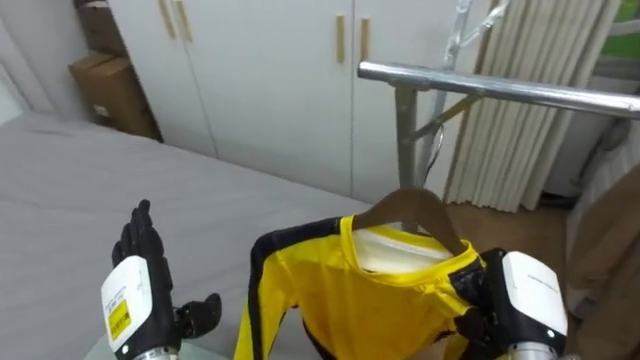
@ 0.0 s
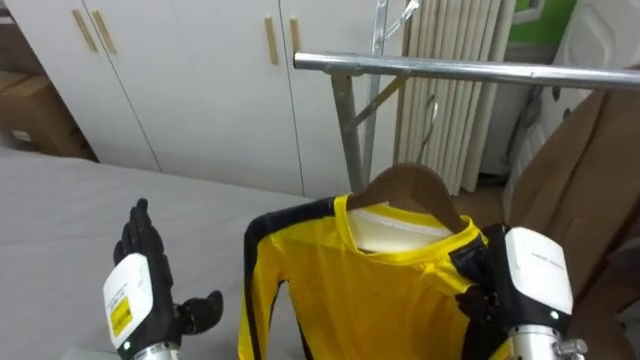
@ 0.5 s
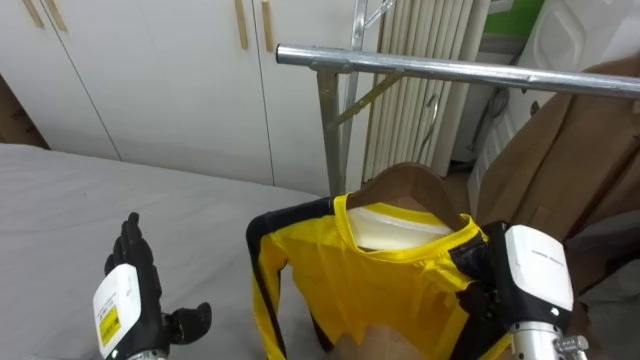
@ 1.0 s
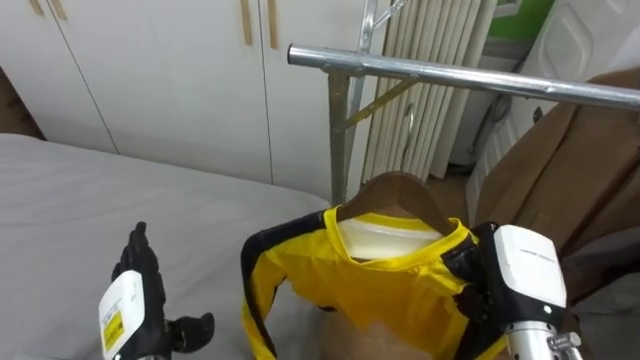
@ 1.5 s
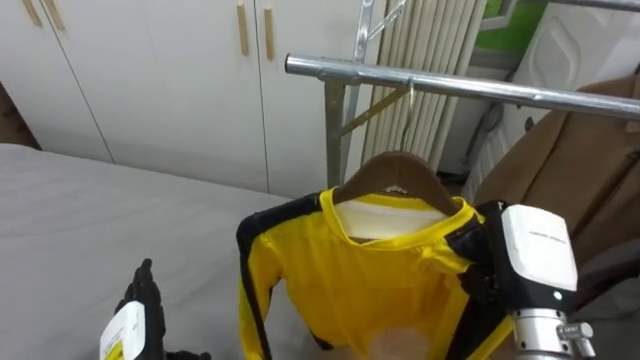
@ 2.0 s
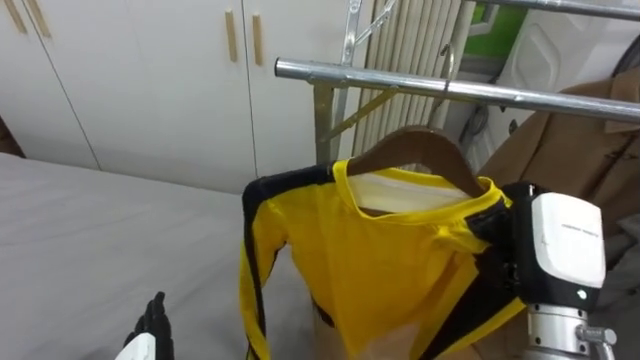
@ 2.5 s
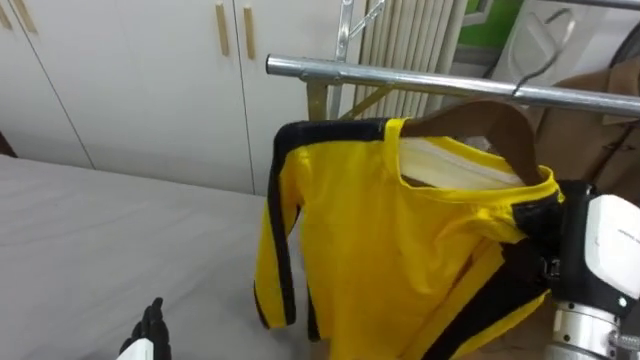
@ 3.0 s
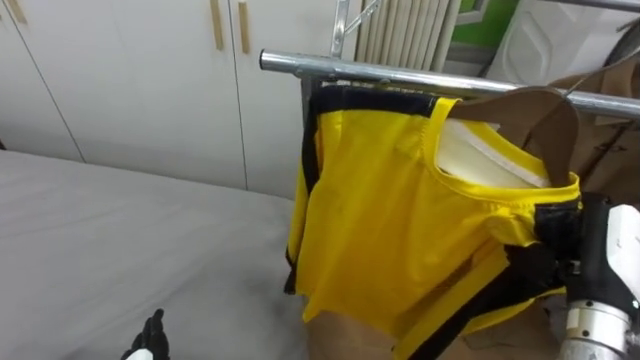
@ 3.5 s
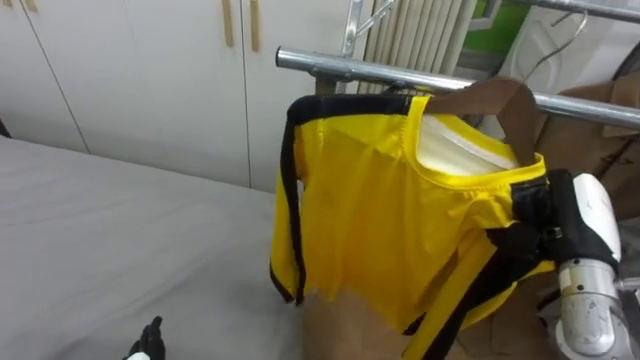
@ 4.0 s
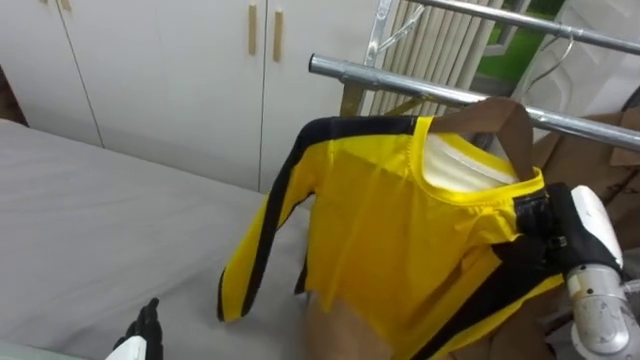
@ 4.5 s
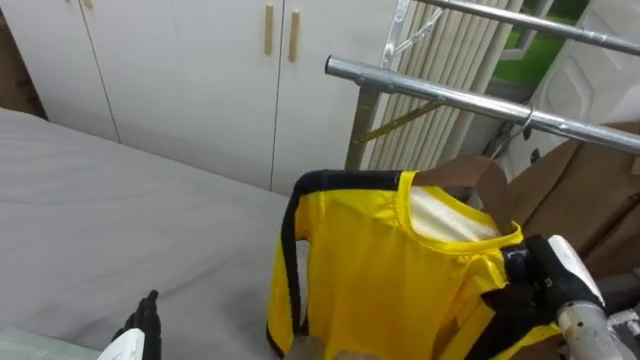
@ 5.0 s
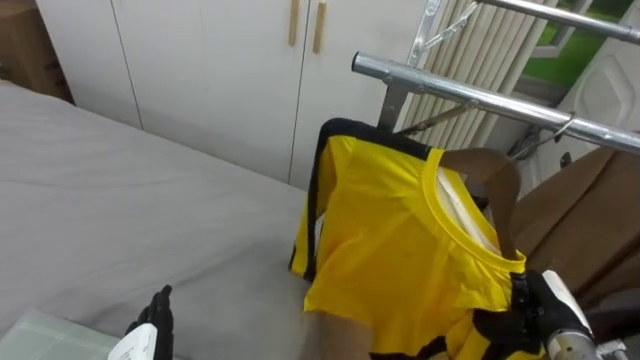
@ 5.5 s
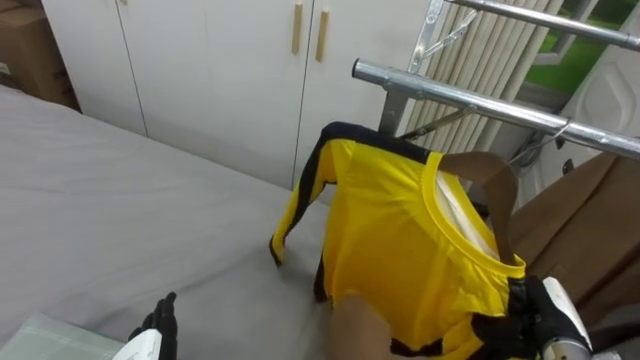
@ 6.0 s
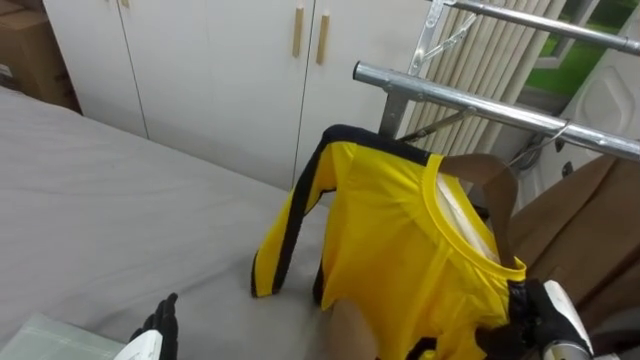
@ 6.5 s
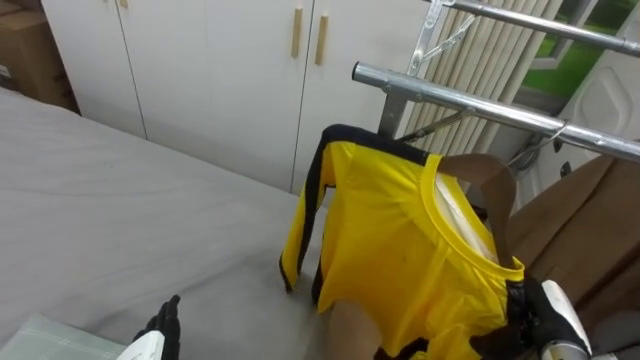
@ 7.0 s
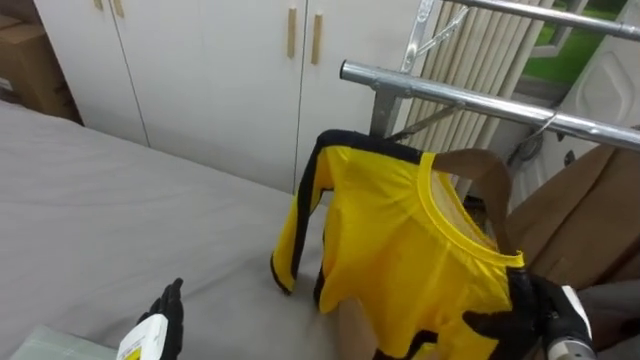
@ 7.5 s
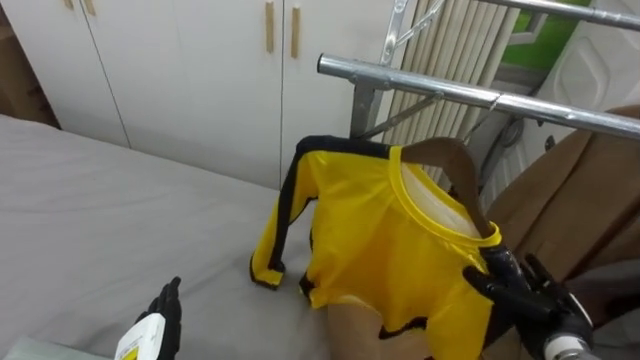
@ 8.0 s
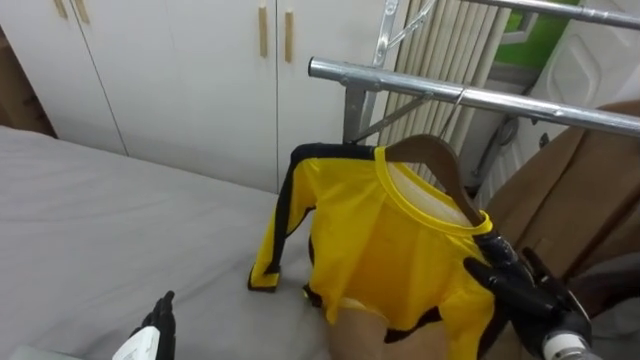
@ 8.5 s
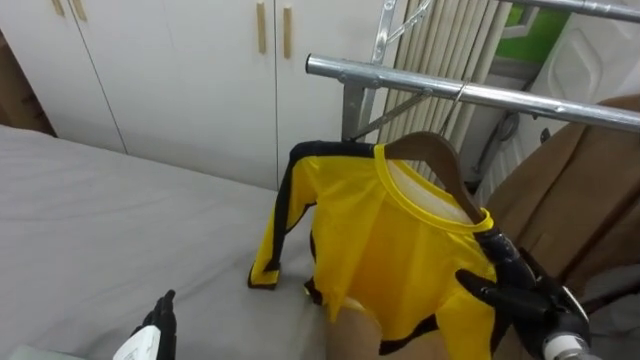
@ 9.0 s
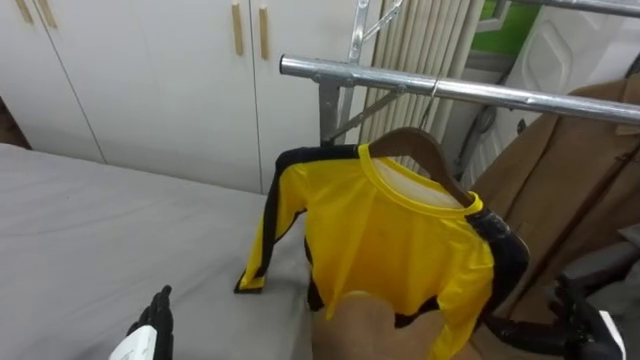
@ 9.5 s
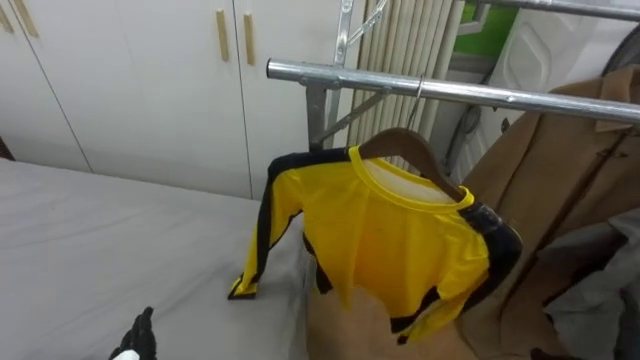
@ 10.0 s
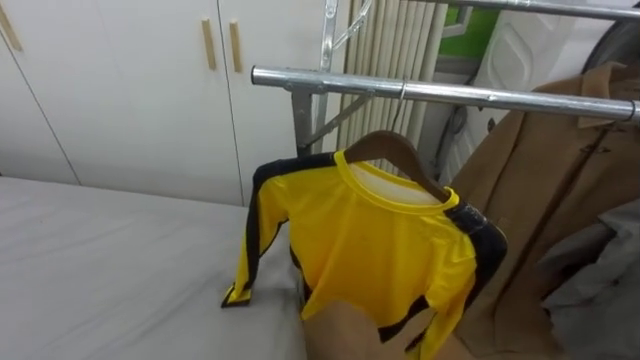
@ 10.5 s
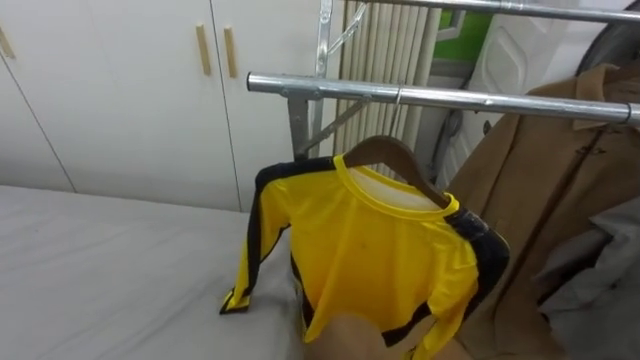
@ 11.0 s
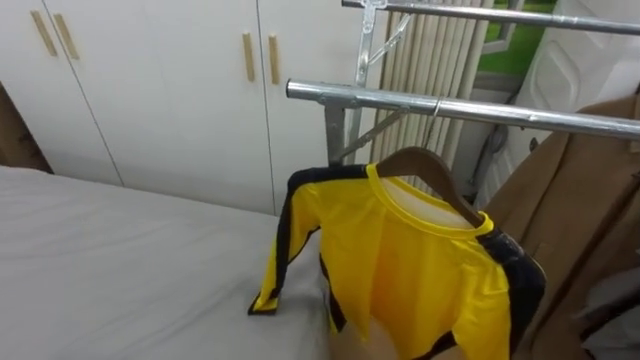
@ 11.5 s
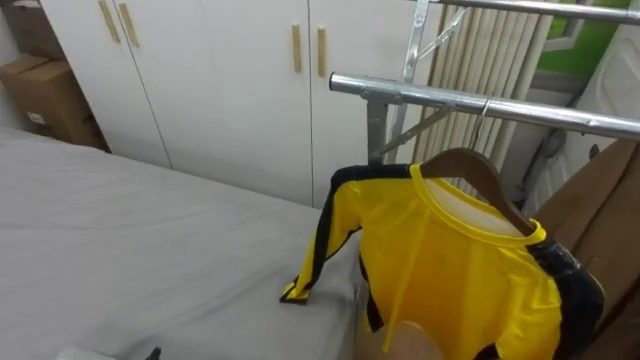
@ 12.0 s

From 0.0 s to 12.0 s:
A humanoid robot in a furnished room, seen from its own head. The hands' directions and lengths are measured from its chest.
Task of the whole recording: Pick up the yellow shirt on the bed and hang it on the clothes rack on the right.
From 0.0 s to 2.0 s: The robot faces roughly 15 degrees further to its right. The left hand is displaced downward by approximately 5 cm; the right hand shifts about 5 cm upward.
From 2.0 s to 4.0 s: The right hand goes roughly 5 cm to the right.
From 4.0 s to 6.0 s: The right hand moves downward, roughly 15 cm.
From 6.0 s to 8.0 s: The right hand opens its fingers.

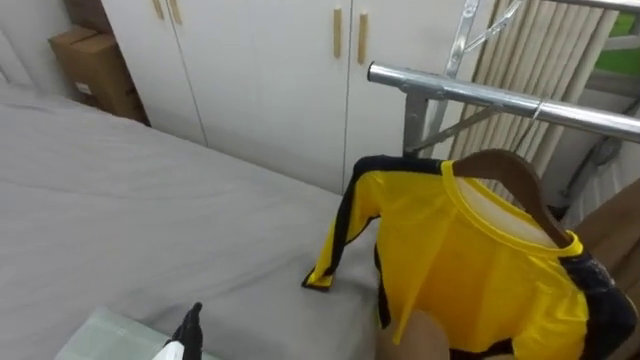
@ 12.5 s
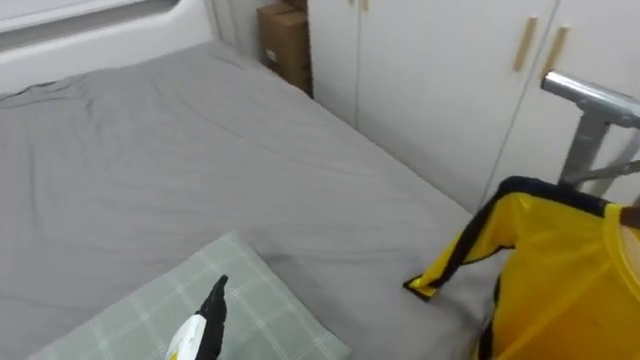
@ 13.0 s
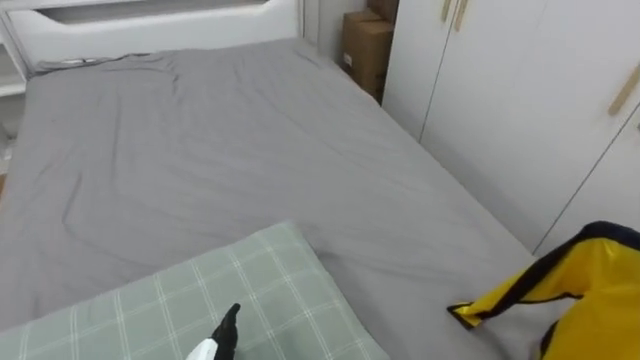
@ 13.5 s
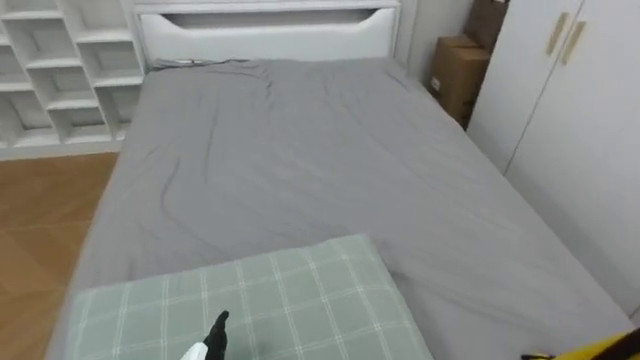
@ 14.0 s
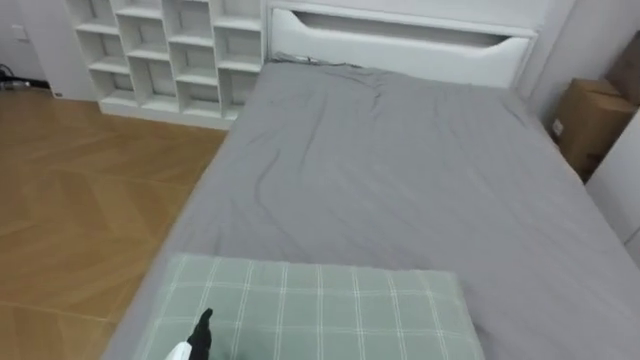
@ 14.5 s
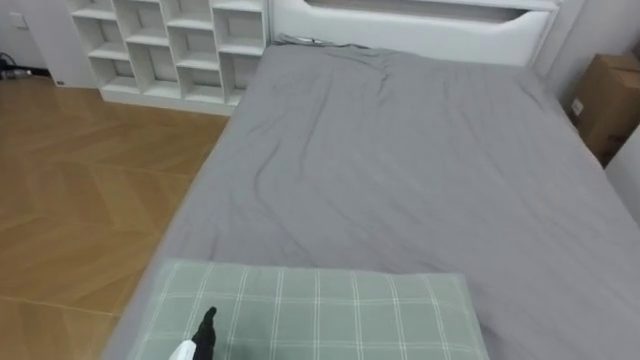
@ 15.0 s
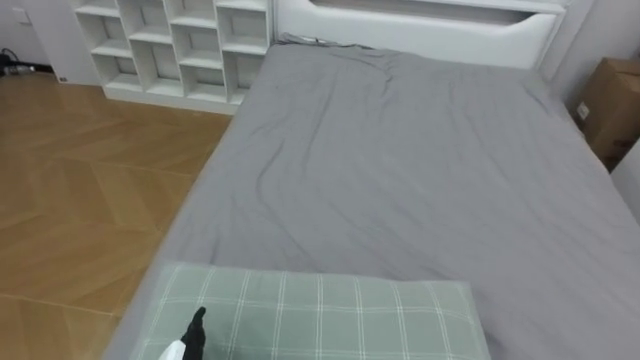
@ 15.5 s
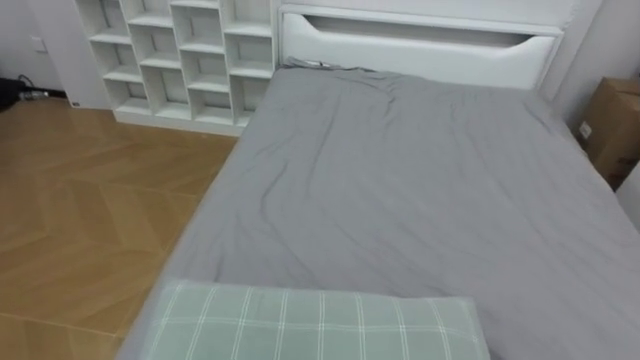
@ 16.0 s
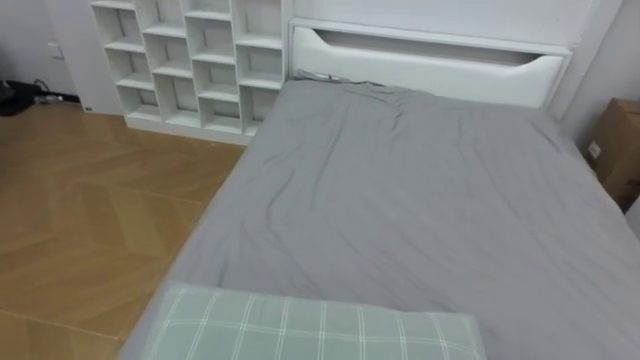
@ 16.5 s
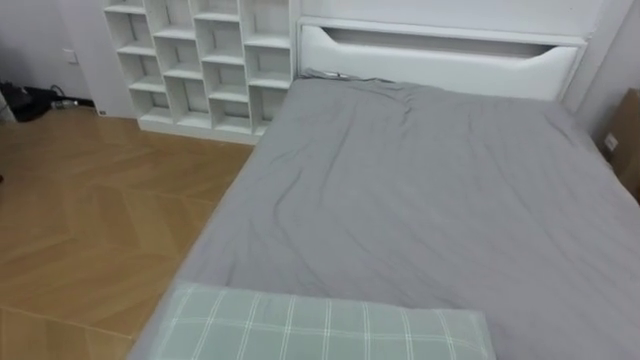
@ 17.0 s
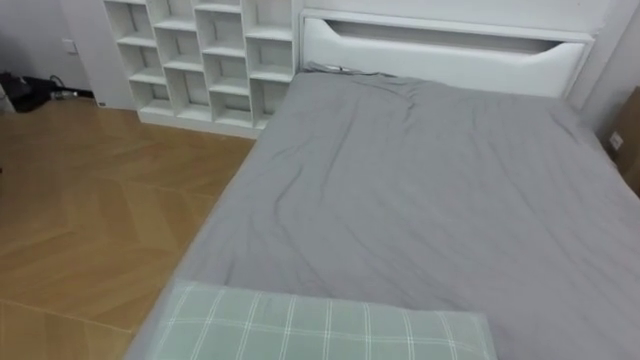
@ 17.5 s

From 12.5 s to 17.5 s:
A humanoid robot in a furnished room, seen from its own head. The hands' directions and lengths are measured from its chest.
Task of the whole recording: Pick up the yellow shirt on the bed and hang it on the clothes rack on the right.
From 12.5 s to 15.0 s: The robot's body swings some 75 degrees to its left.

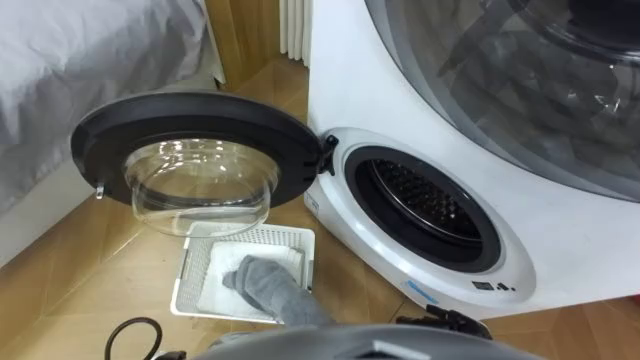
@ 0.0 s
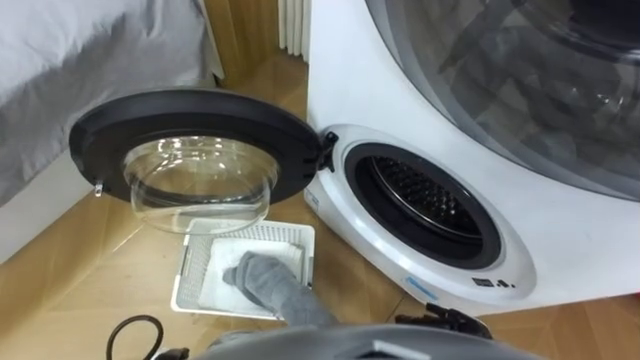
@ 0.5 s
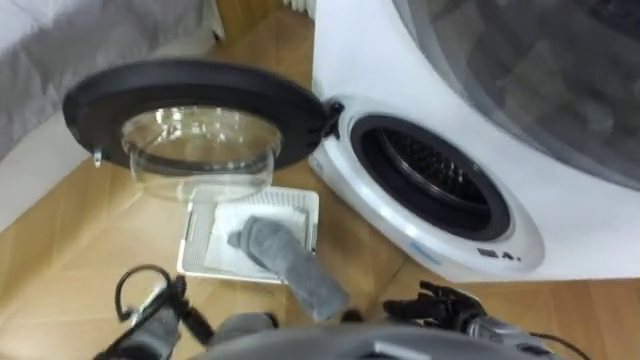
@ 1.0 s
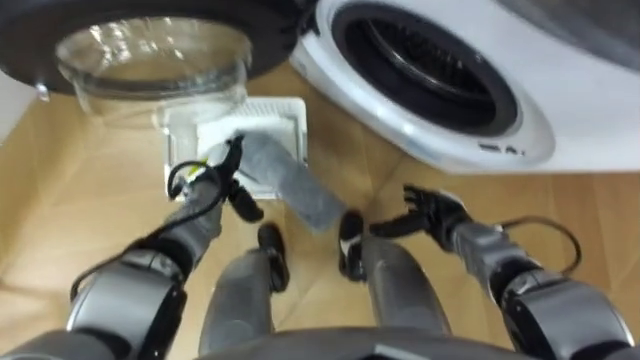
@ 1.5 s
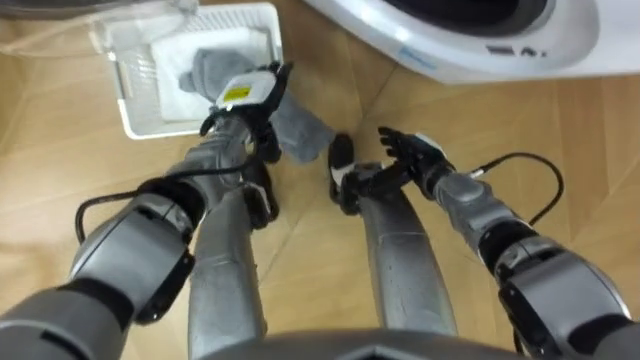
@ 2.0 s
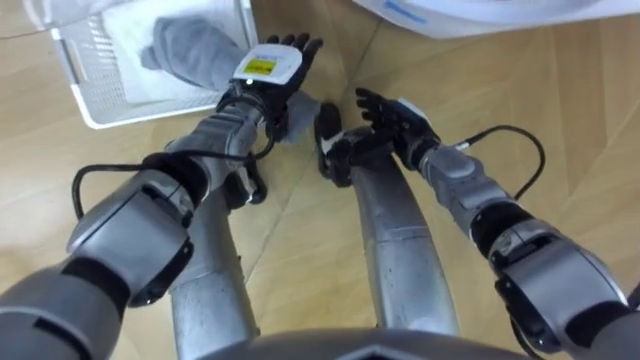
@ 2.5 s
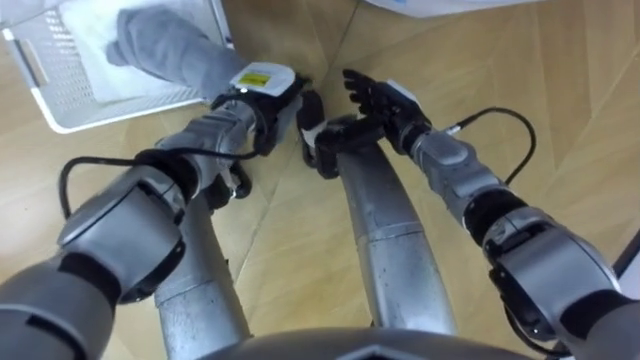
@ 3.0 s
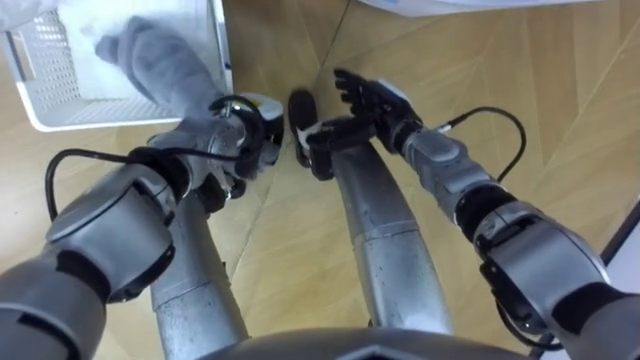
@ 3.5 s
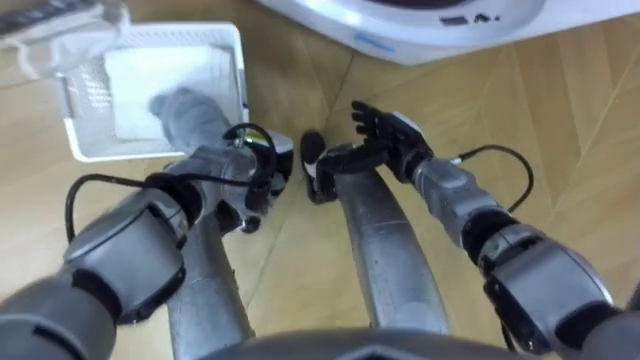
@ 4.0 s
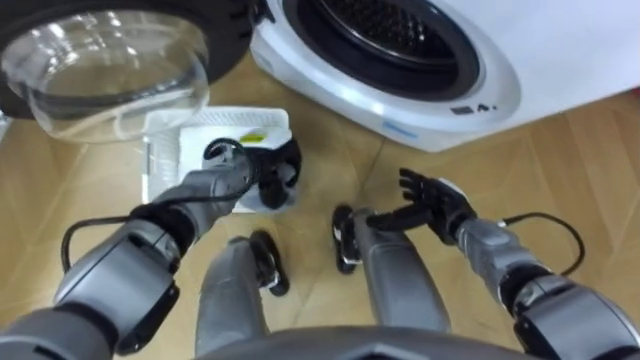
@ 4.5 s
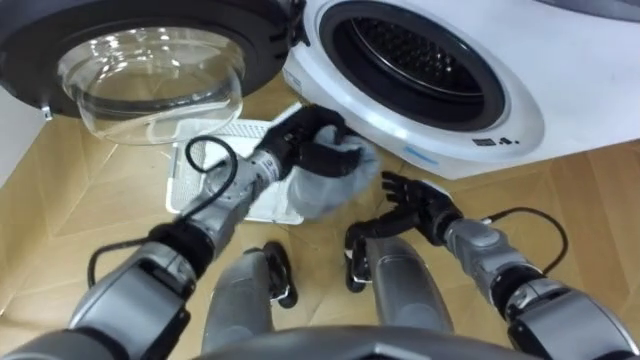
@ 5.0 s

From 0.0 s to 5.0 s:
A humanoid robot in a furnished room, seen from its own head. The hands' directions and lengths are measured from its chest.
Task of the whole recording: Take the towel from the basket and put it into the washing machine.
From 2.5 s to 5.0 s: The left hand goes about 5 cm backward, and closes up; the right hand is displaced backward and downward by some 10 cm.
